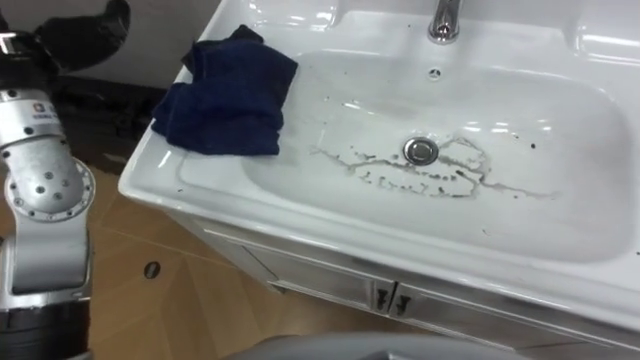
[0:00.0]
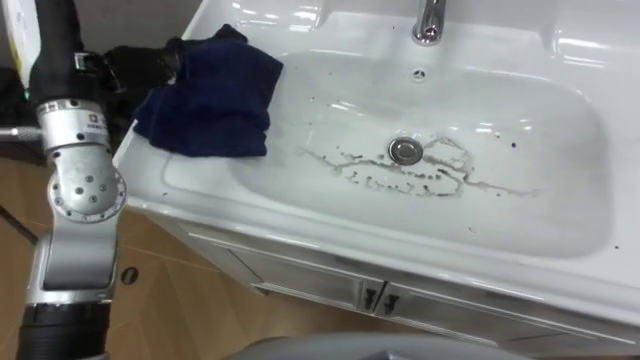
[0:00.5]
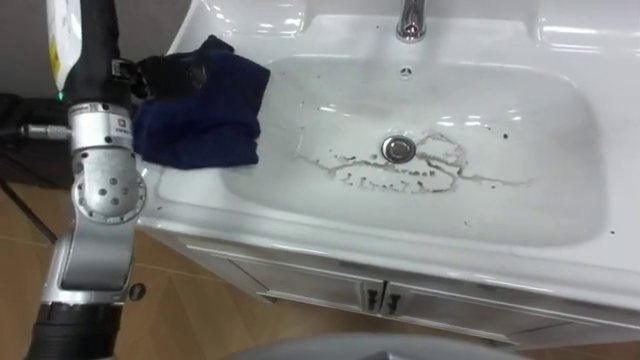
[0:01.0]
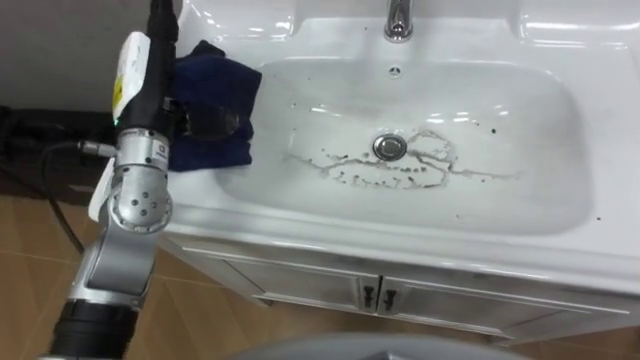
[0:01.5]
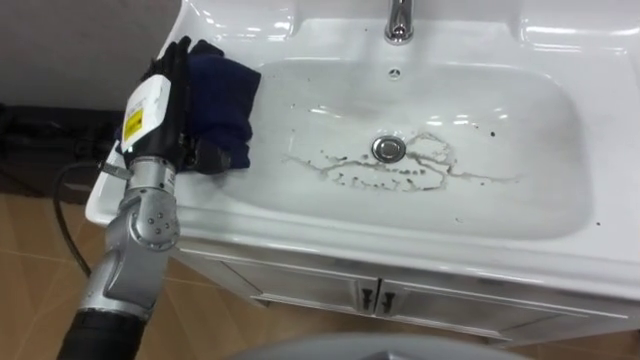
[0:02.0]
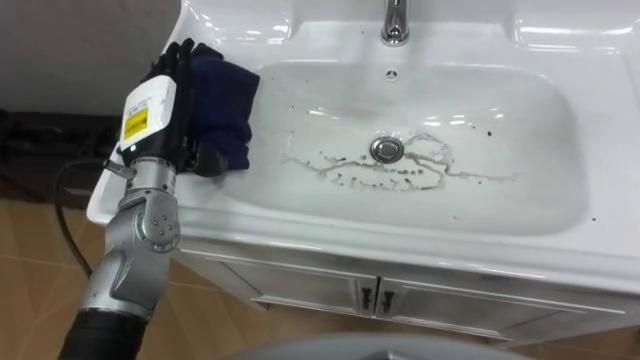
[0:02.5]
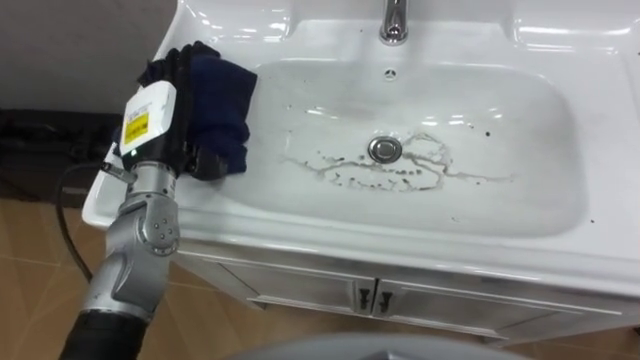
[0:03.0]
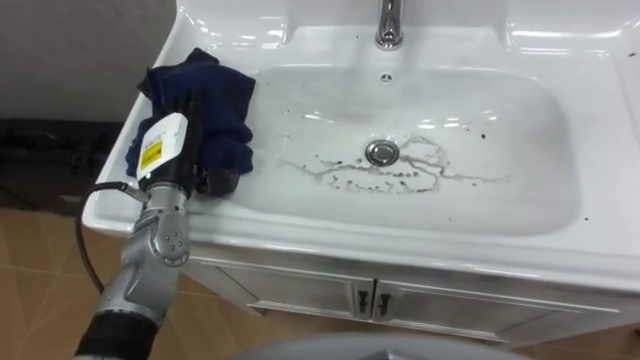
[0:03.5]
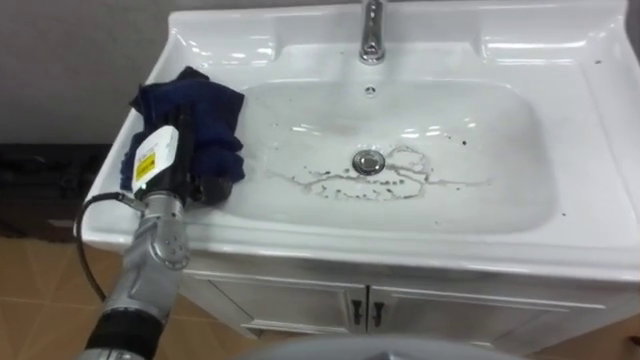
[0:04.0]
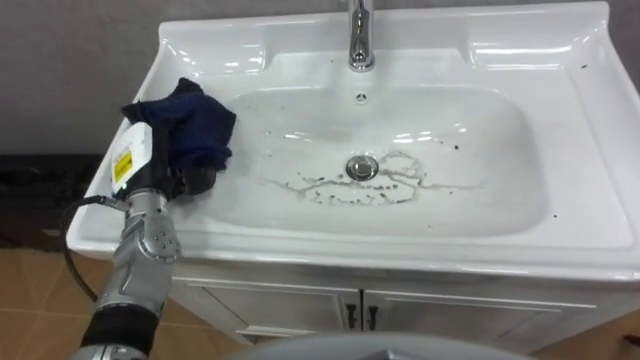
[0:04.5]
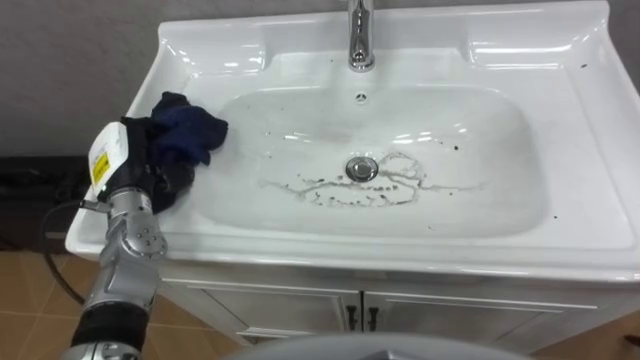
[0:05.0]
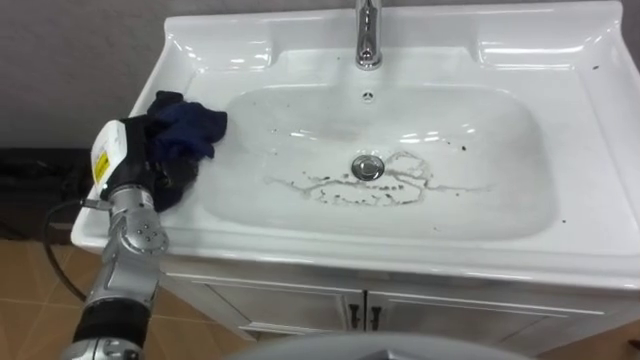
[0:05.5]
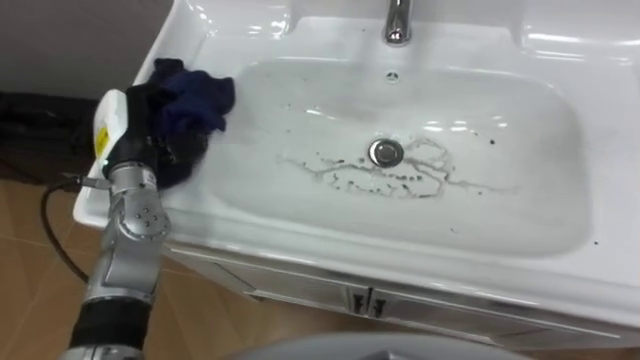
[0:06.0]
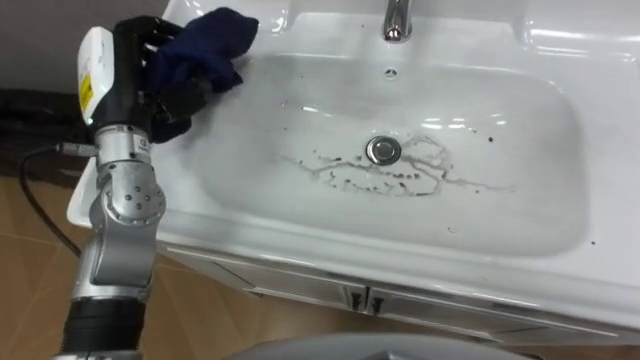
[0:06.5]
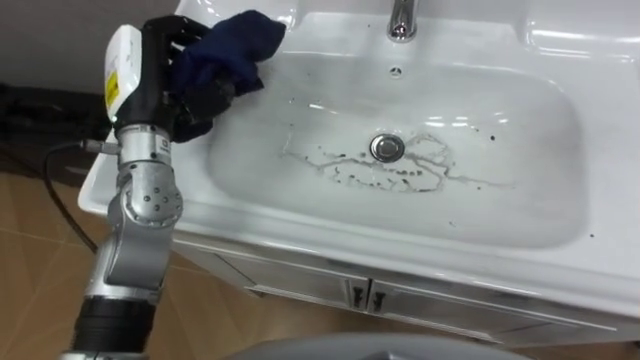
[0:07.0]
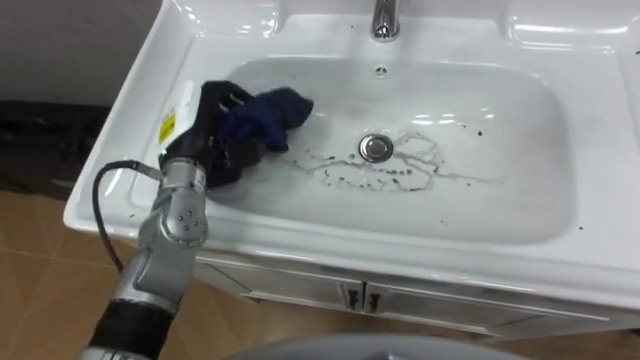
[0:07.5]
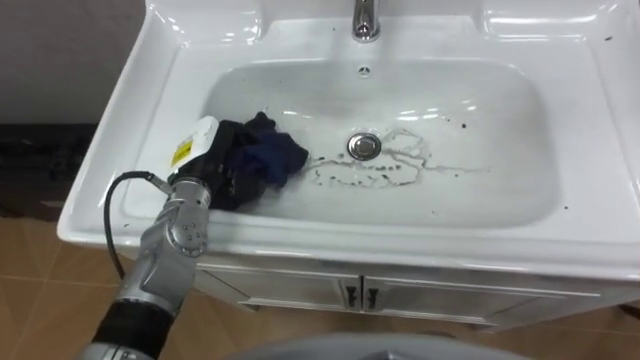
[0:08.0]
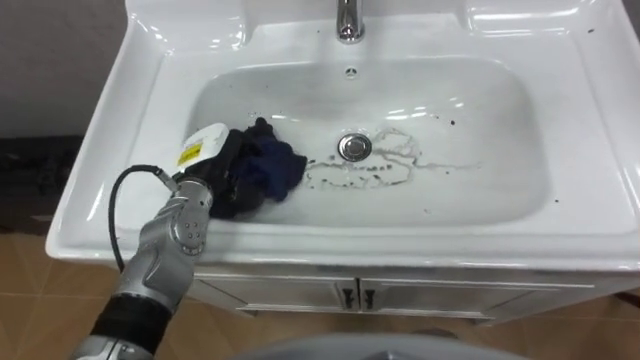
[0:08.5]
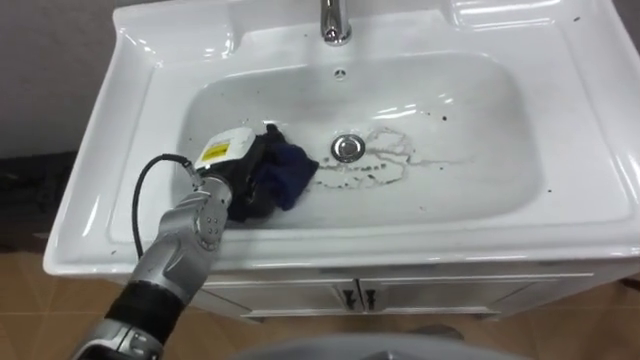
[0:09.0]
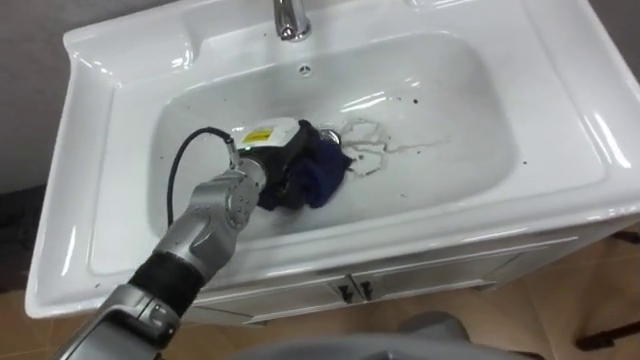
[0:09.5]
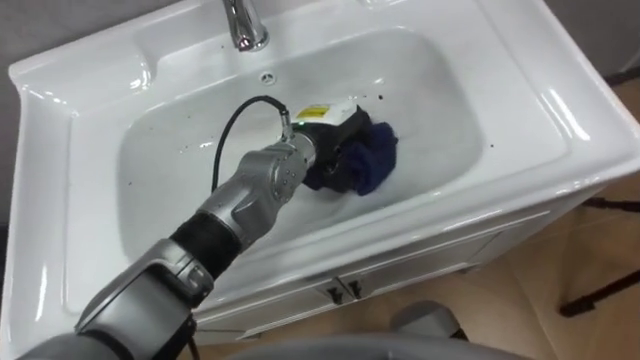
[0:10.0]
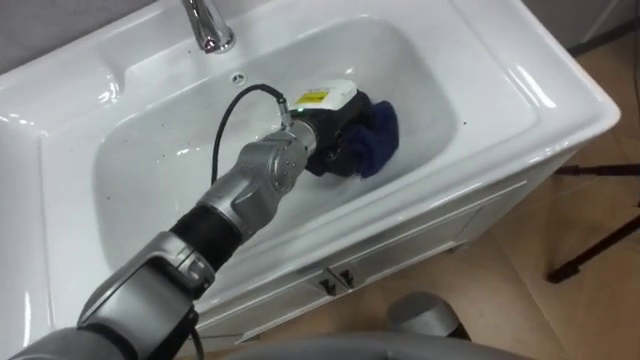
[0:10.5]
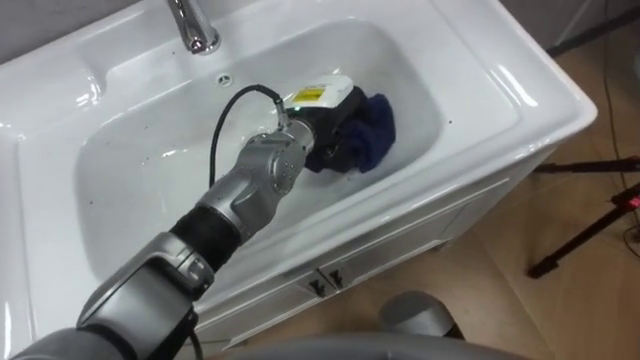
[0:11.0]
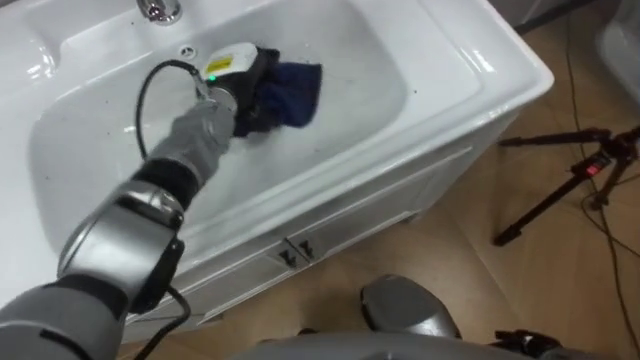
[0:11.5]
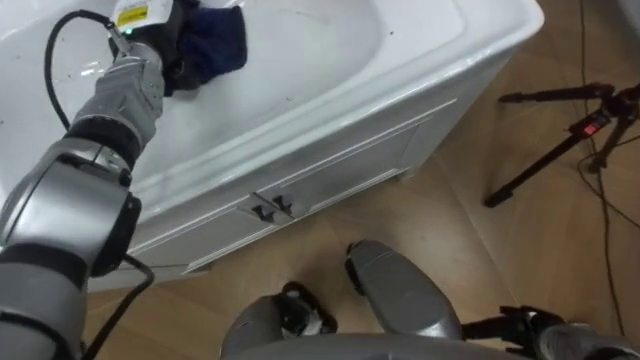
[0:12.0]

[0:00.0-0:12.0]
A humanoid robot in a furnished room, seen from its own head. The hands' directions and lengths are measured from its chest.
Task of the whole recording: Use the cloth on the right to wipe away the black stain in the sink.
0:02.0 to 0:04.0: The left hand heads downward, covering about 10 cm.
0:04.0 to 0:06.0: The left hand travels upward by about 5 cm, and closes.
0:06.0 to 0:08.0: The left hand heads to the right, covering about 10 cm, and moves about 10 cm upward and comes back.
0:08.0 to 0:10.0: The left hand heads to the right, covering some 15 cm.
0:10.0 to 0:12.0: The left hand heads to the left and forward, covering some 25 cm.

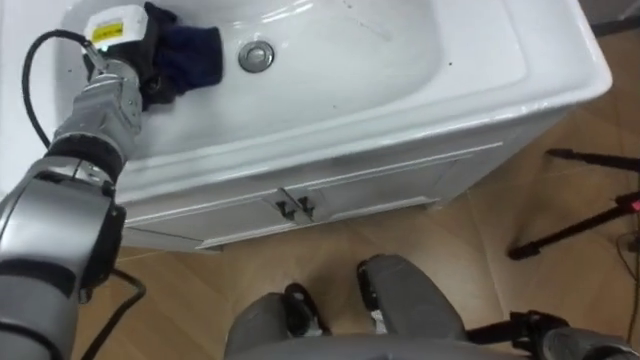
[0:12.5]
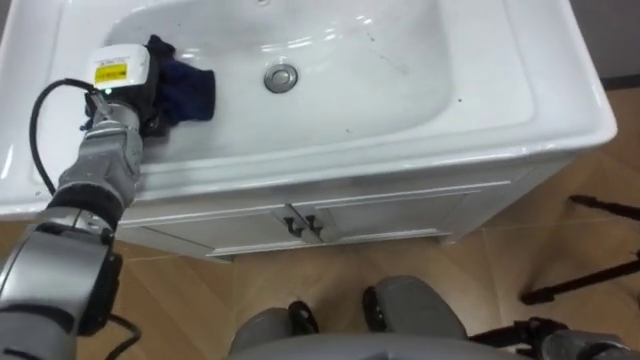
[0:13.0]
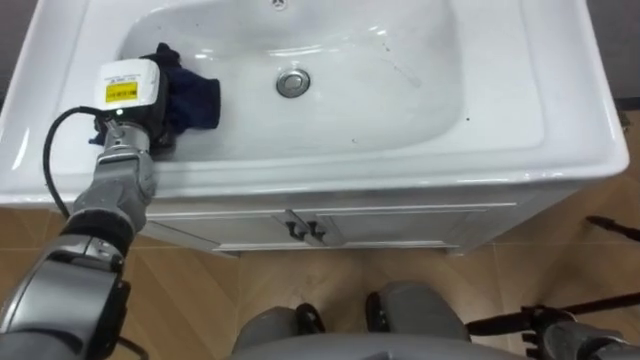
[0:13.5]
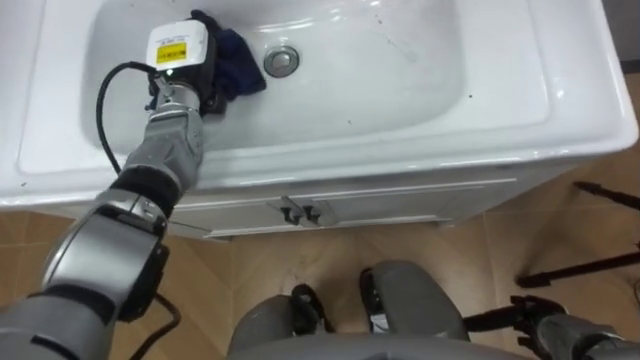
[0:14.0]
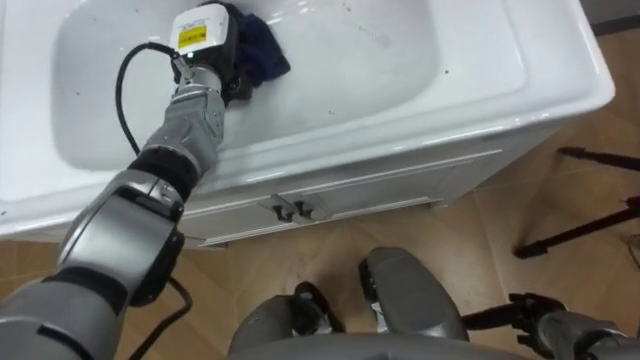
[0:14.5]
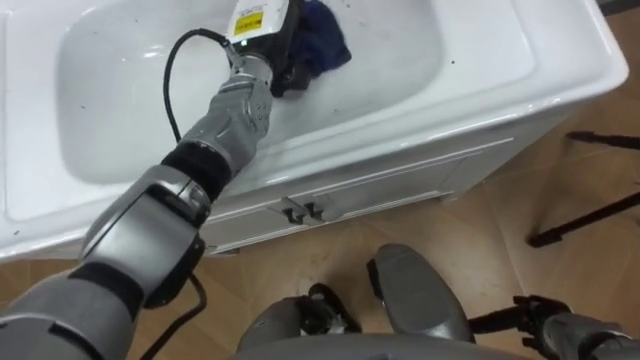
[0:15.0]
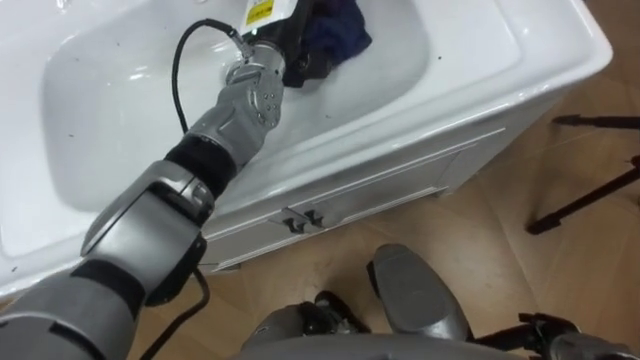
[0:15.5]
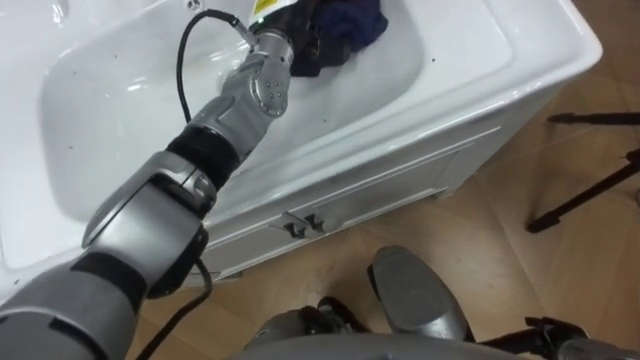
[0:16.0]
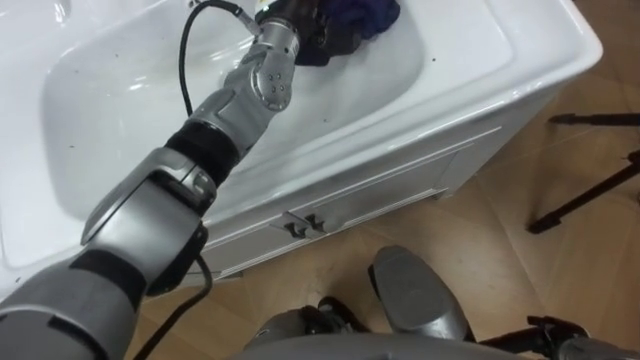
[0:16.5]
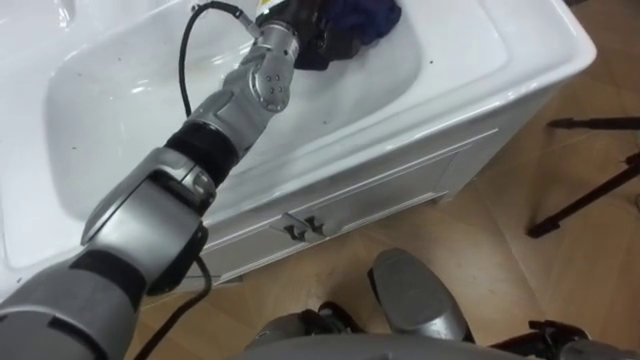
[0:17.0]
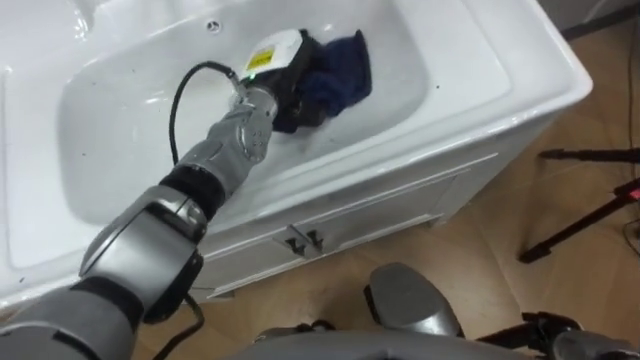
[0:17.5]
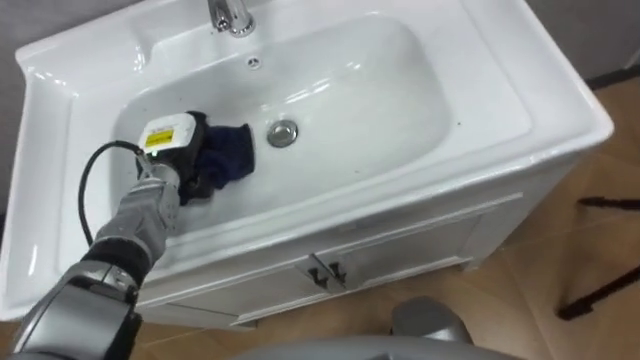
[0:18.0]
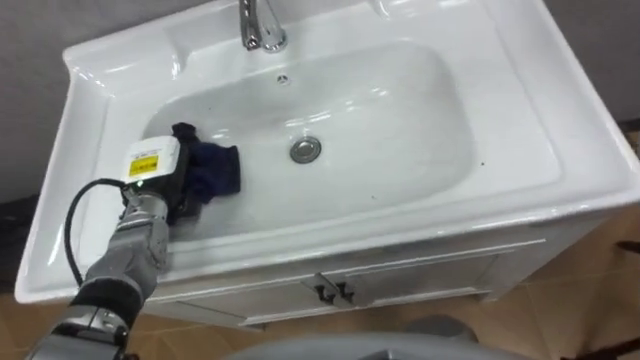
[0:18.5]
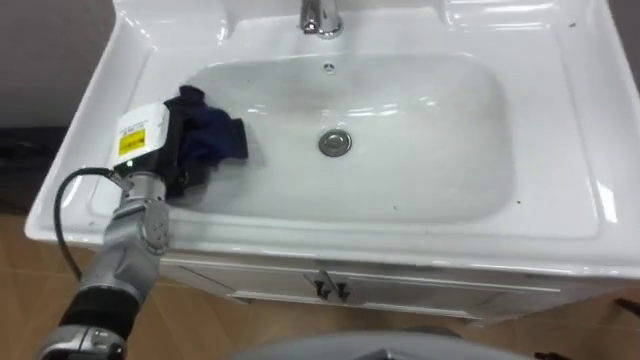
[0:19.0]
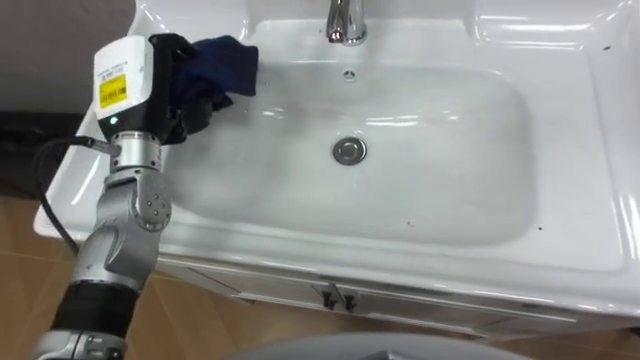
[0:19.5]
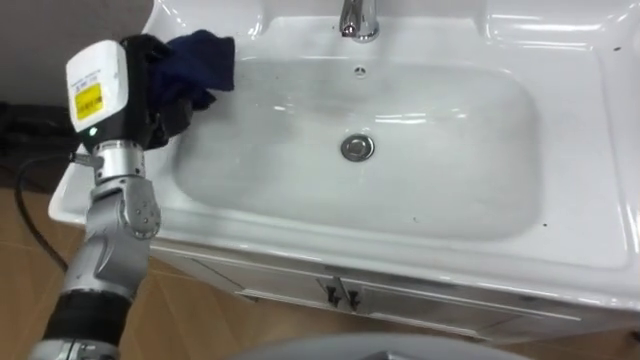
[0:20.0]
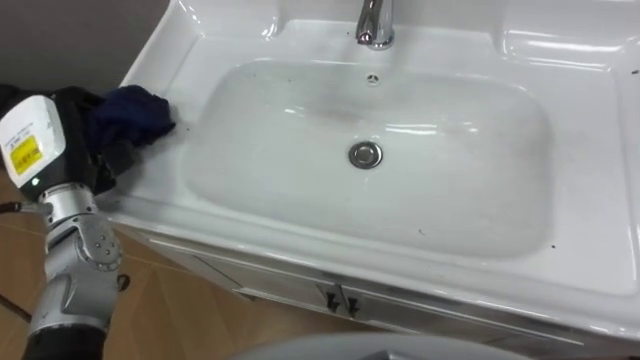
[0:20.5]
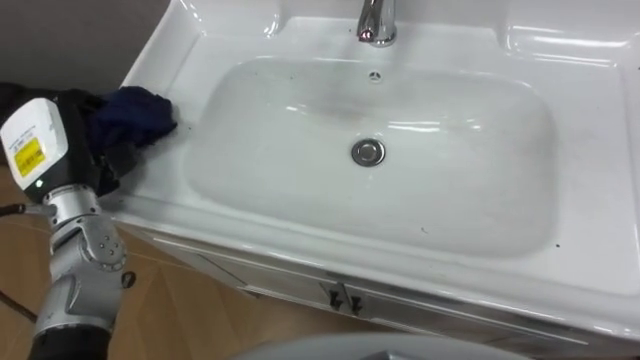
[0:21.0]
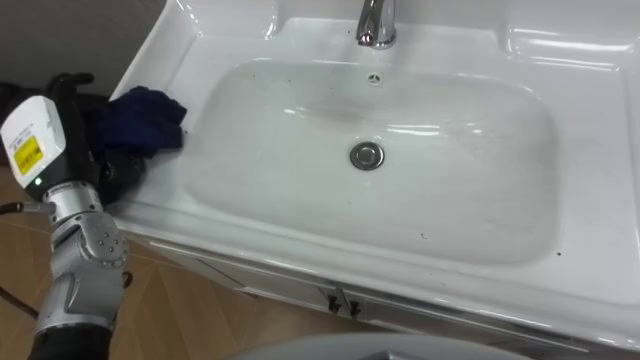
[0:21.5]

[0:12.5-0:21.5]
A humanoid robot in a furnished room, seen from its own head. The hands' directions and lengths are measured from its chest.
Task of the whole recording: Use the cloth on the right to wipe away the black stain in the sink.
0:12.5 to 0:14.5: The left hand heads to the right, covering some 10 cm.
0:17.0 to 0:19.5: The left hand heads to the left and backward, covering some 20 cm.
0:19.5 to 0:21.5: The left hand moves to the left and backward, some 10 cm, and opens up.
